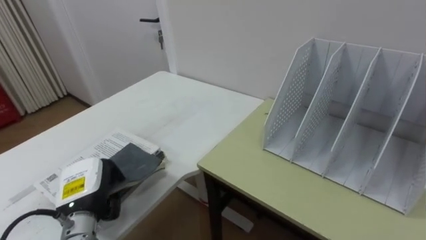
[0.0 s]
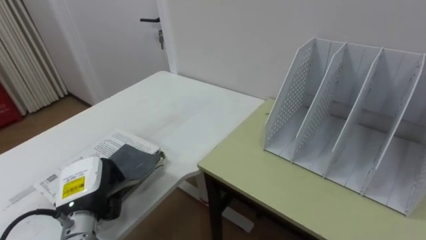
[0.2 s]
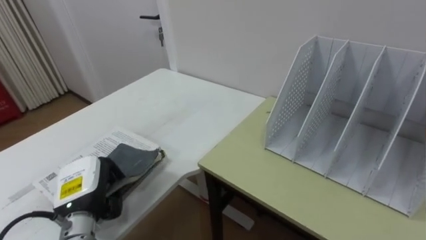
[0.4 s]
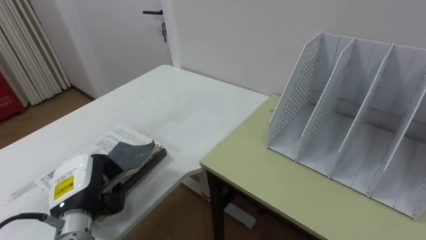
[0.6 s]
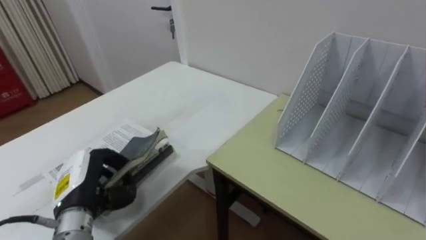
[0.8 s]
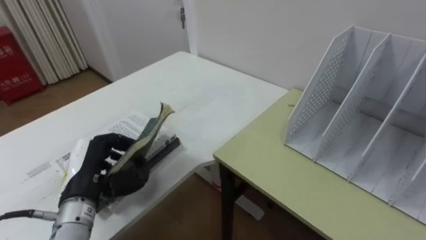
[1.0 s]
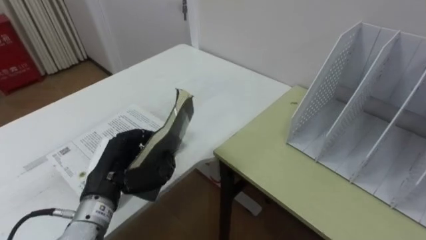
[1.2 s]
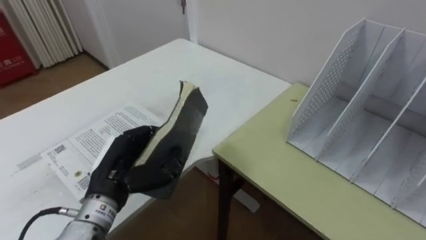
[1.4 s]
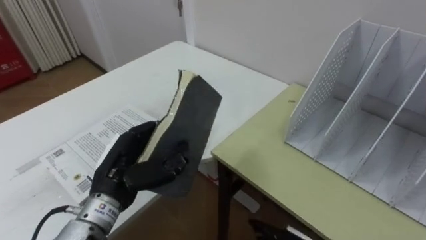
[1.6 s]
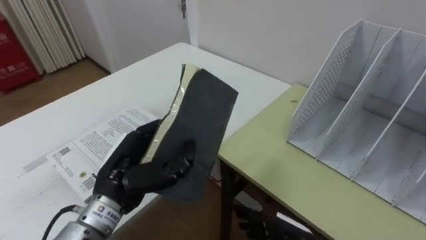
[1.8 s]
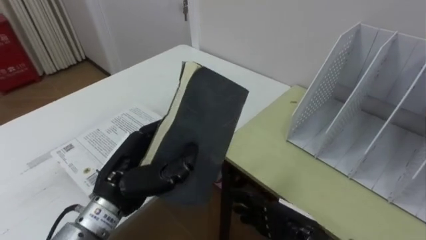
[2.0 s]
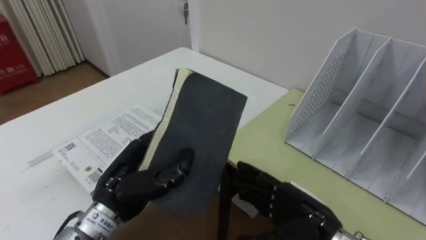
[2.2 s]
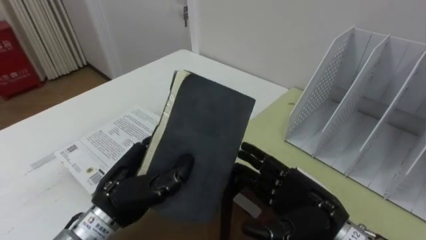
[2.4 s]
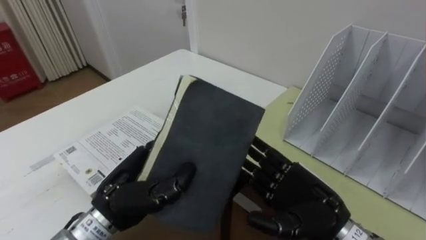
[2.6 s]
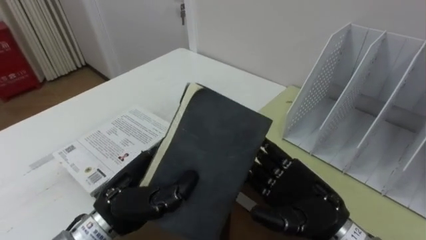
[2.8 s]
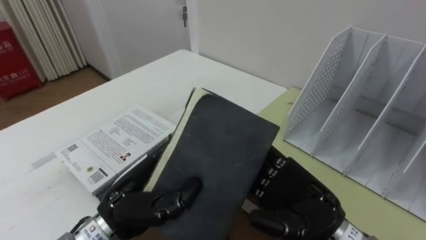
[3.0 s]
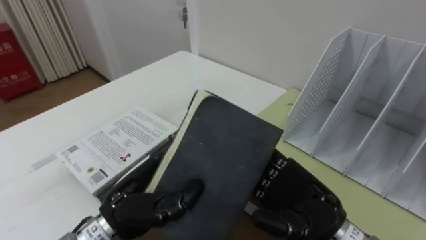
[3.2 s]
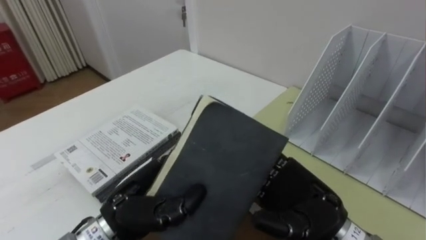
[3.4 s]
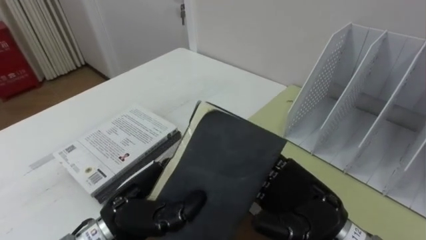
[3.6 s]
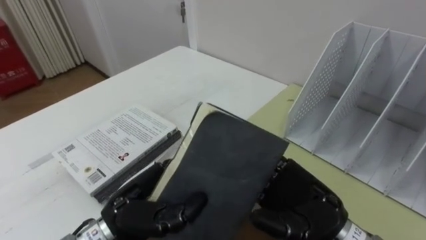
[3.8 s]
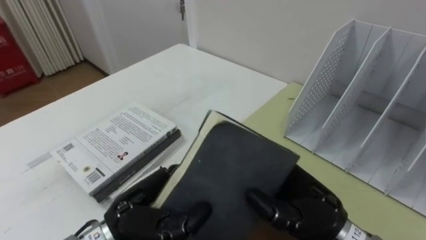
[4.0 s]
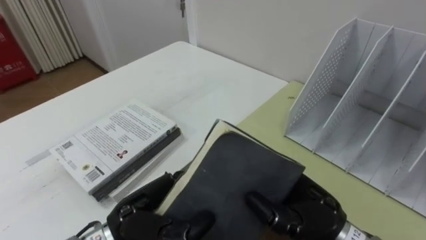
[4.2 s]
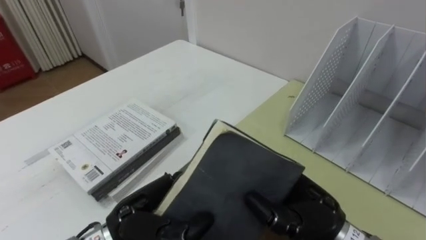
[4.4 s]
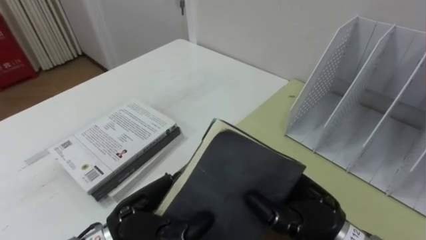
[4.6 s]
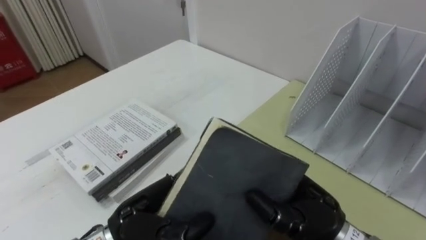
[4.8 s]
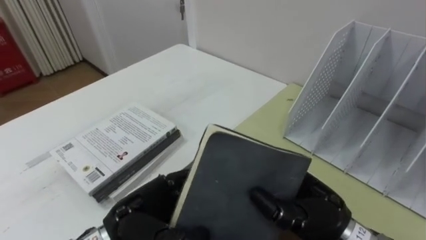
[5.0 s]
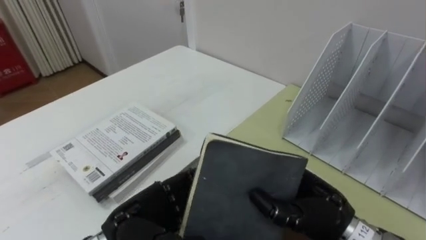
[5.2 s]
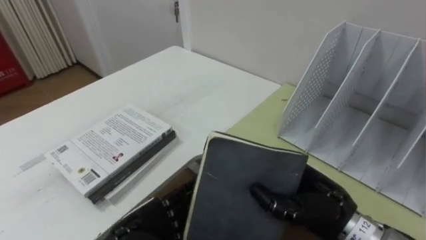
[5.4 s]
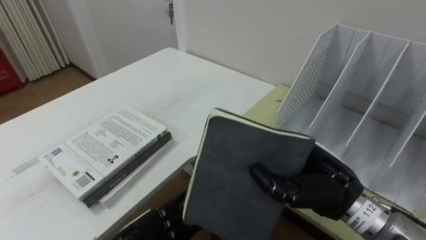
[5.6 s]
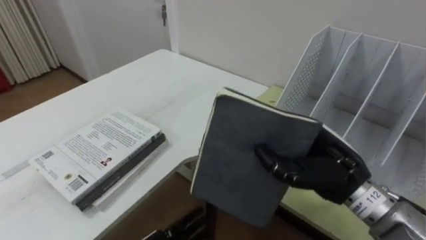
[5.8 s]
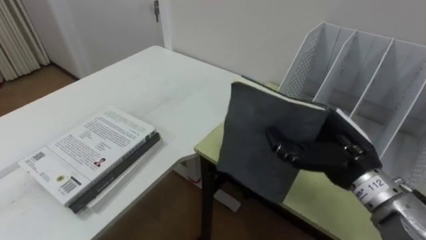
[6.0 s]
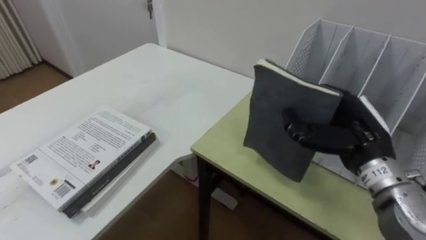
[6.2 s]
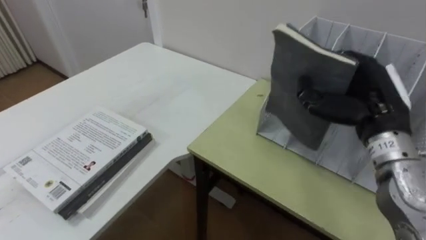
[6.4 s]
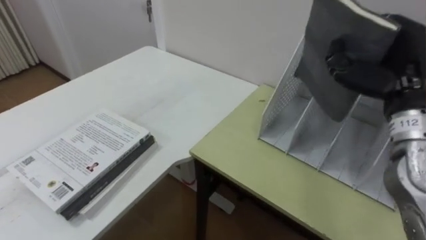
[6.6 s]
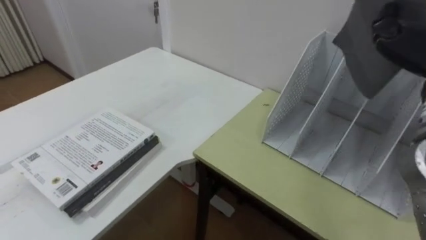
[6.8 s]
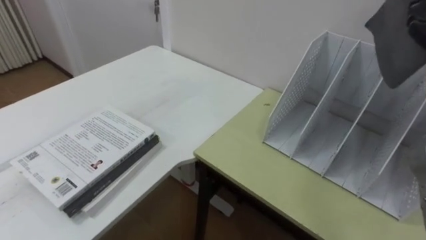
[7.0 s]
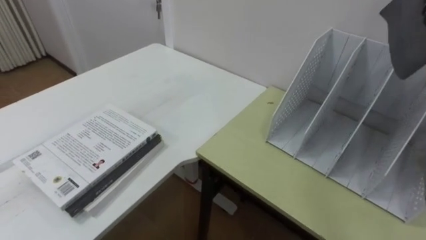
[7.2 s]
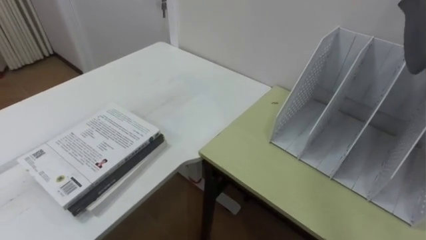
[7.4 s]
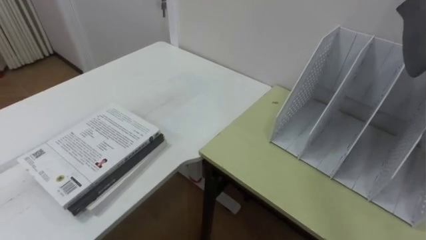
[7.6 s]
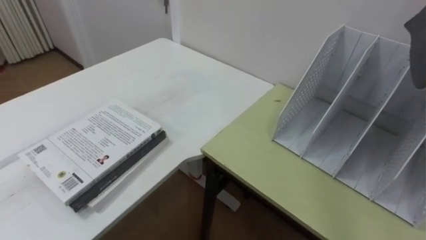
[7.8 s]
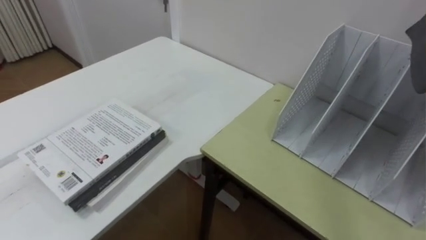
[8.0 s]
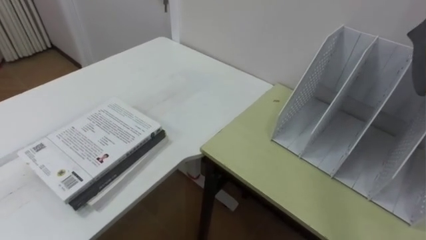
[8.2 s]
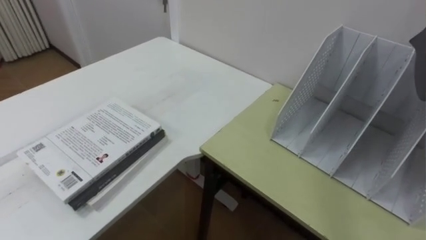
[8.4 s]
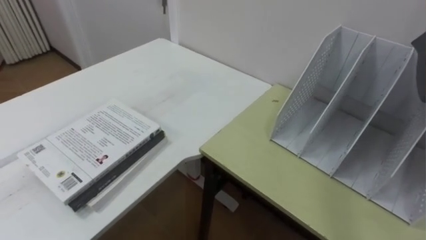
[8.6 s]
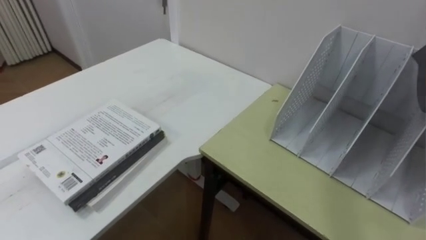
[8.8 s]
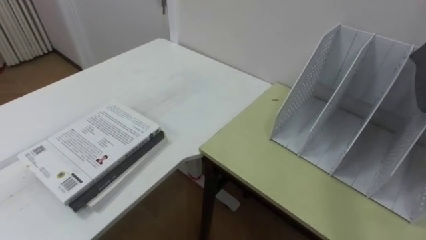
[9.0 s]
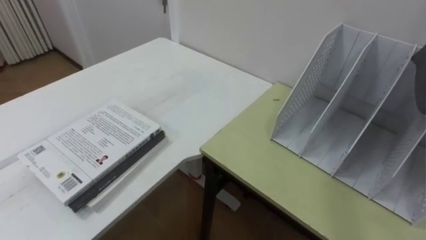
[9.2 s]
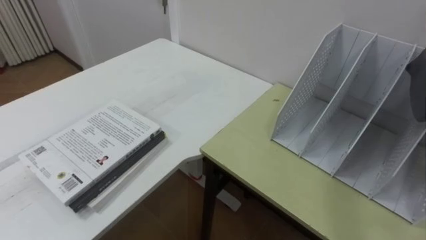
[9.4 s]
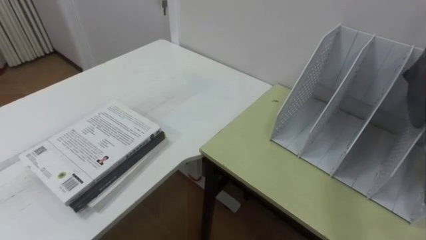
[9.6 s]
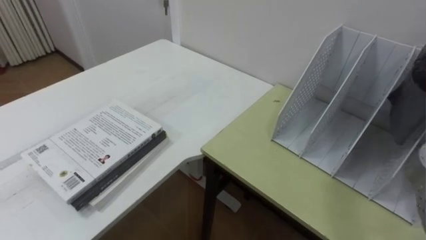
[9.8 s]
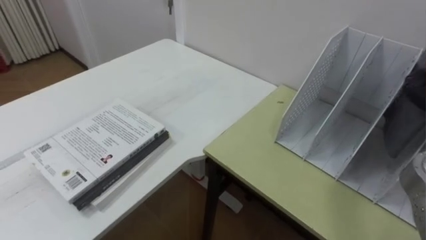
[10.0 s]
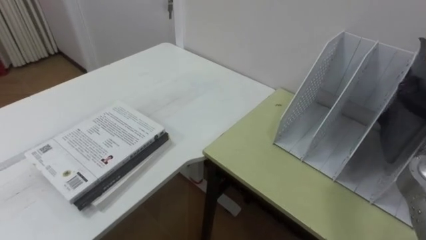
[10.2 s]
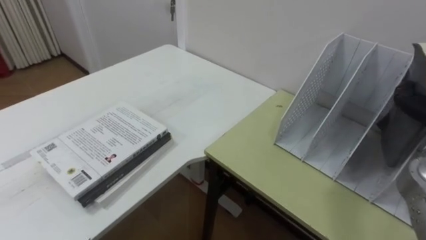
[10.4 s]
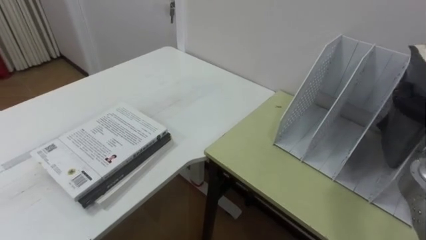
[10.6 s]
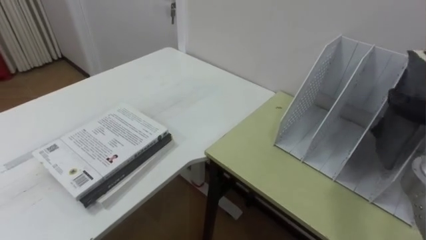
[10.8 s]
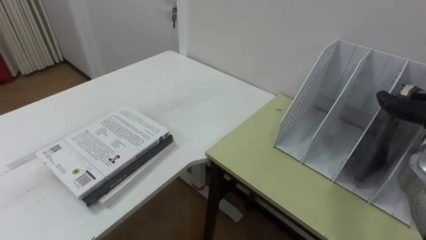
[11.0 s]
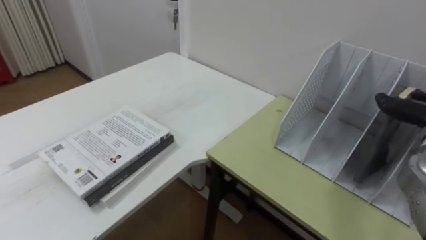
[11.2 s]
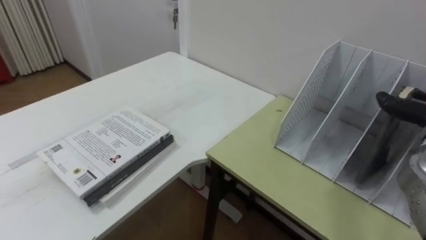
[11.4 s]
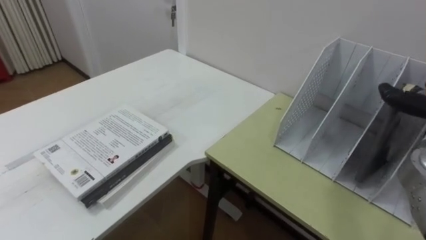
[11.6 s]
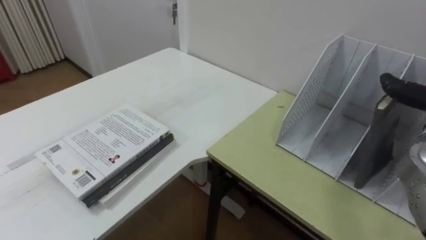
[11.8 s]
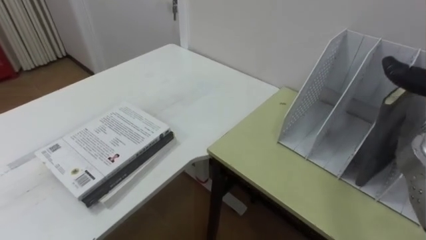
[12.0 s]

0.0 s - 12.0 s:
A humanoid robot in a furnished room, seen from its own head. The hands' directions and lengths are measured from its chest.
Task of the whole recording: Put the books on the table onto the bookshelf.
0.0 s - 1.6 s: The left hand shifts about 10 cm upward and to the right.
1.6 s - 3.0 s: The left hand ends up about 5 cm from where it was.
3.0 s - 4.4 s: The right hand closes.
4.4 s - 6.0 s: The right hand goes roughly 10 cm to the right and forward.

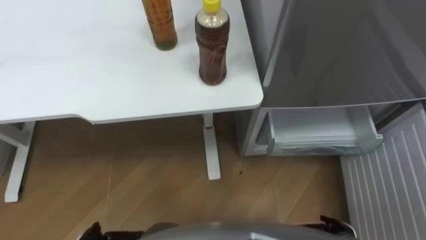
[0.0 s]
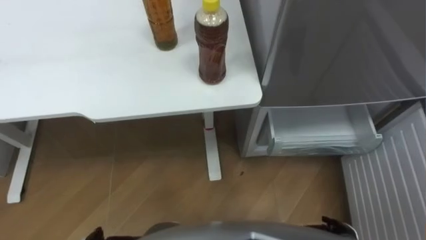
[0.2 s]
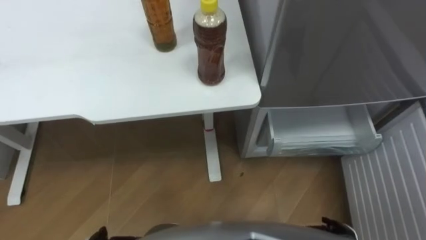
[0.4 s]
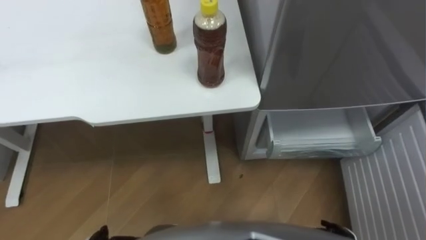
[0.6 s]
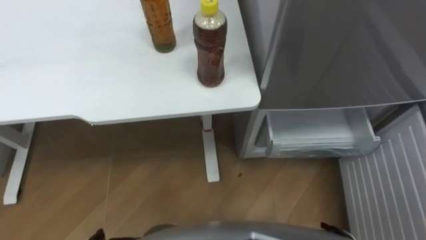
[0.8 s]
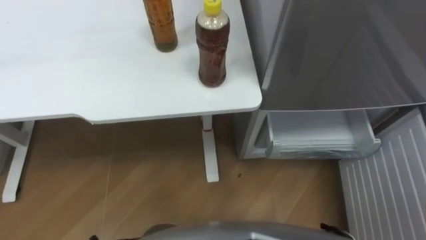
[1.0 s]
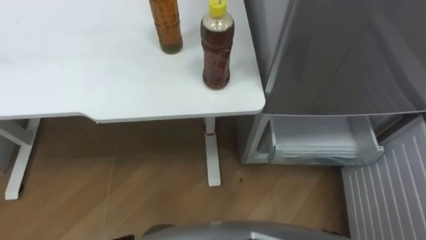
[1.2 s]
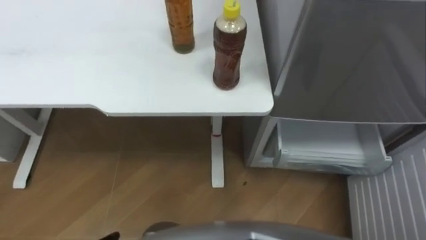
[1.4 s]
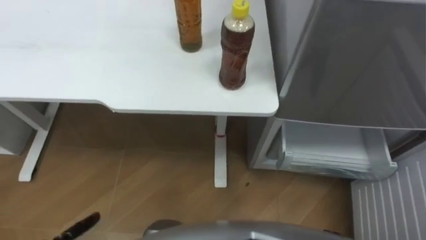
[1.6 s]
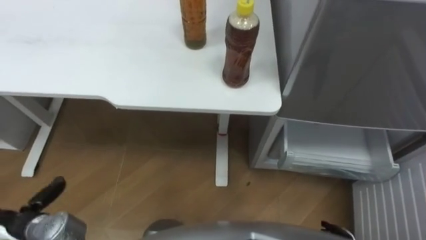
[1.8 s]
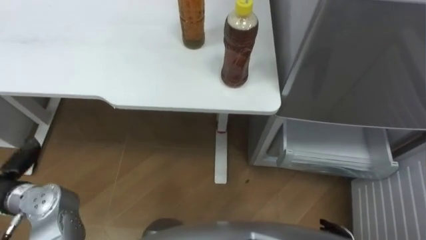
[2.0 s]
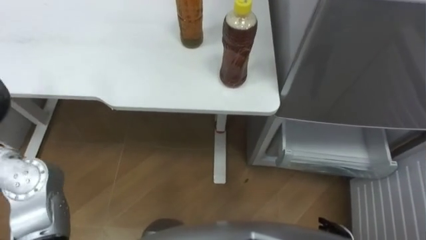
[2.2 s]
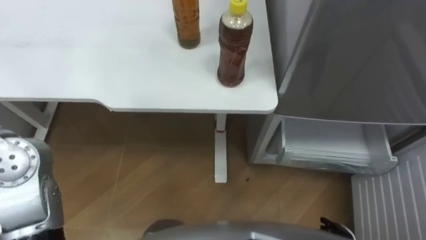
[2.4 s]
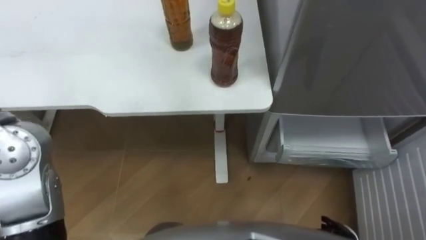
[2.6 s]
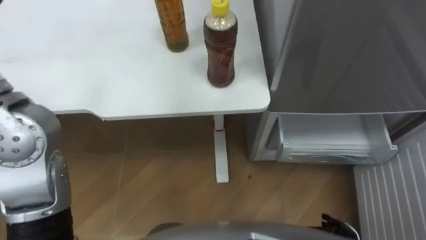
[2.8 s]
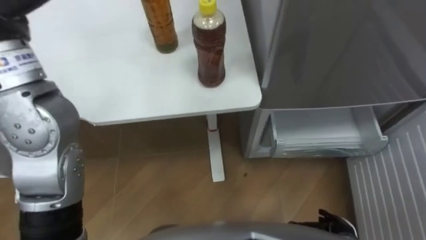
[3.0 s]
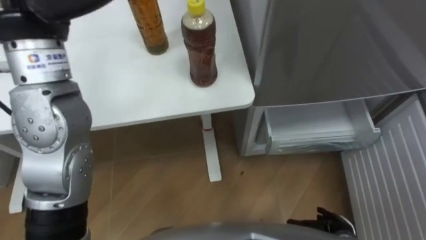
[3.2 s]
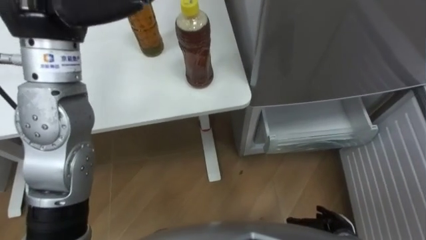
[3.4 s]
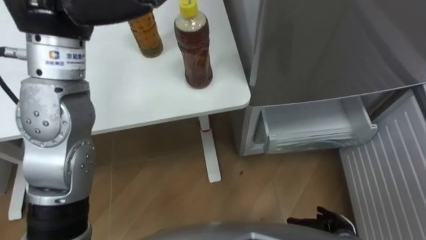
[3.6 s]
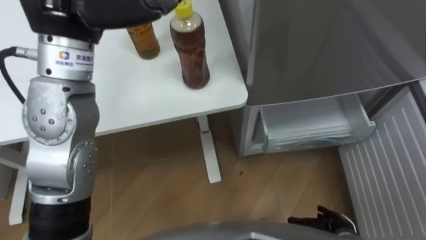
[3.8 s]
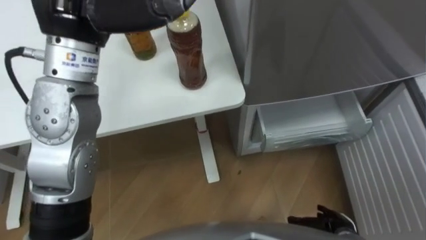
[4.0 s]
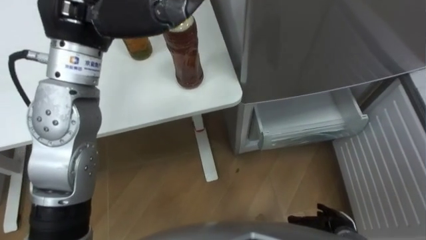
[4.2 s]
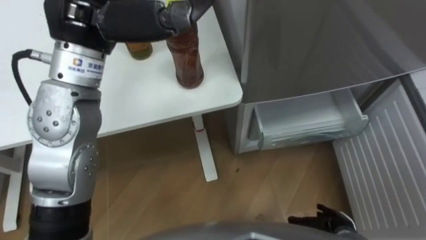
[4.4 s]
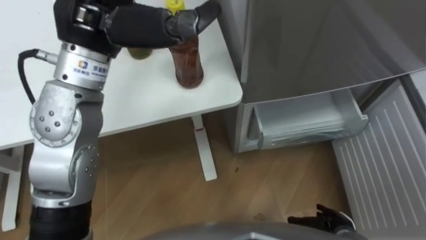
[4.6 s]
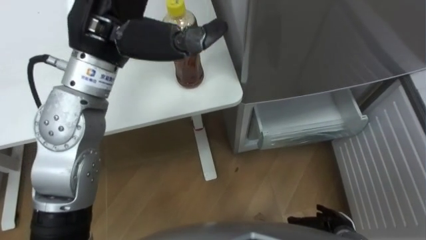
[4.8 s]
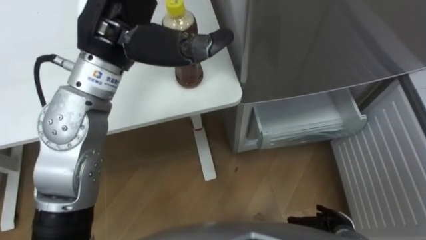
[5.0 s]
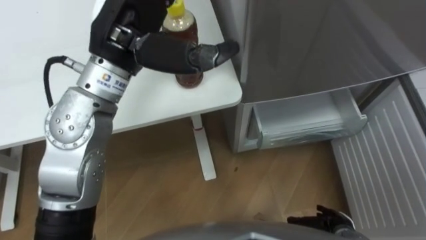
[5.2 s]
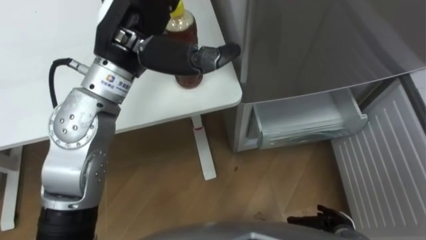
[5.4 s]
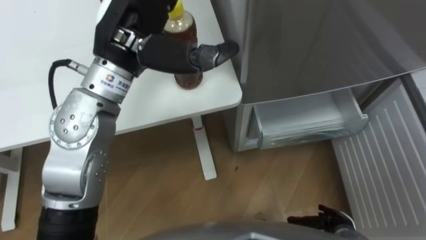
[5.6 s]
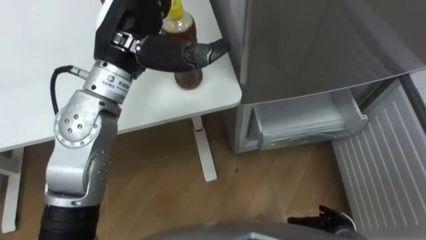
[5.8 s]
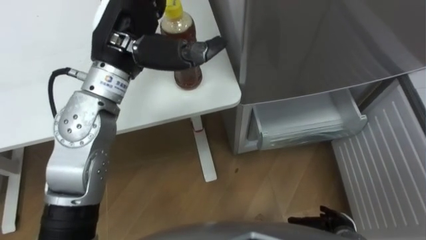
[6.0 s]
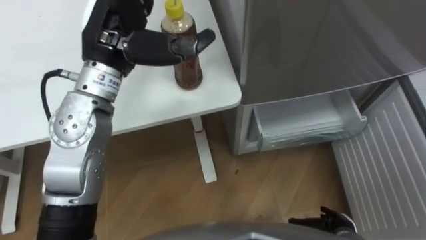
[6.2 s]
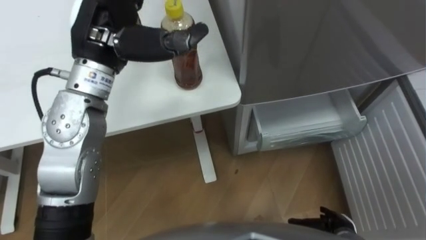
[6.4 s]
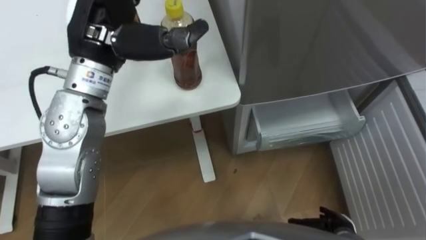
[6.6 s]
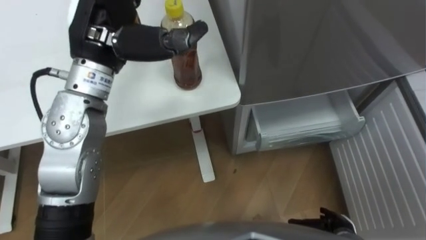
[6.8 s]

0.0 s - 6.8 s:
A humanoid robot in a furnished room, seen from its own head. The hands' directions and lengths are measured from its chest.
Task of the whole recording: Place the drink on the table on the bottom shelf of the refrigerator, then close the drawer and the refrigerator door.
4.0 s - 5.4 s: The left hand travels downward by approximately 5 cm.
5.4 s - 6.8 s: The hands make only small movements.
